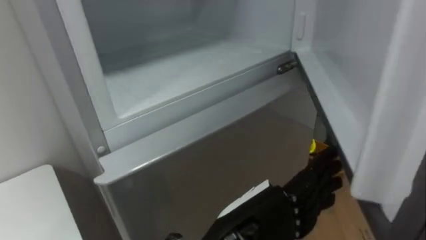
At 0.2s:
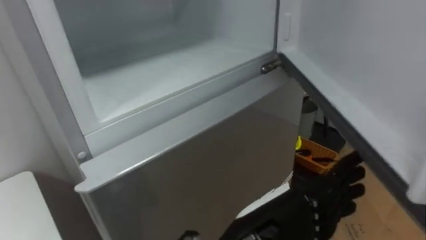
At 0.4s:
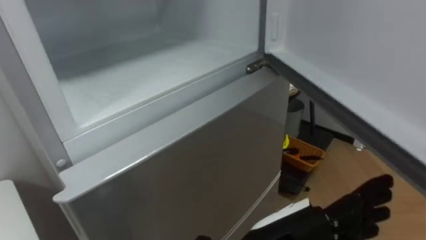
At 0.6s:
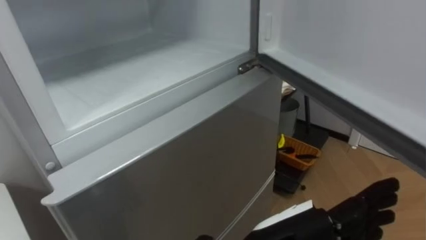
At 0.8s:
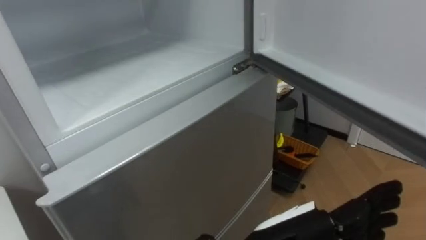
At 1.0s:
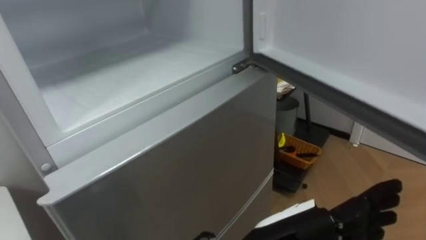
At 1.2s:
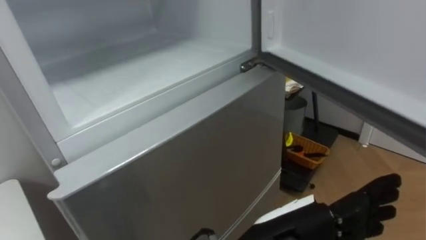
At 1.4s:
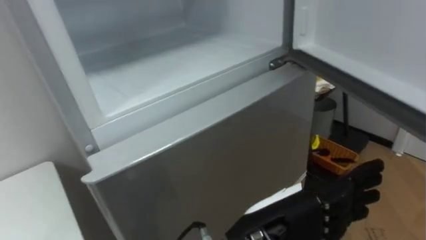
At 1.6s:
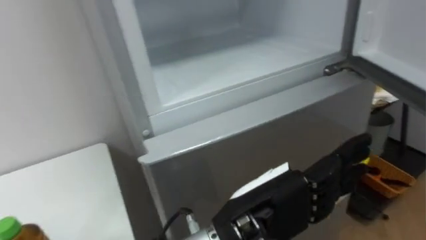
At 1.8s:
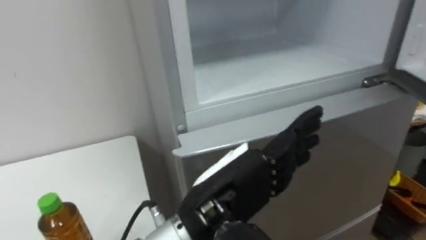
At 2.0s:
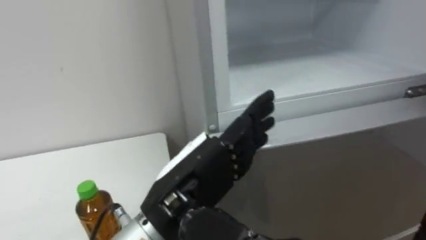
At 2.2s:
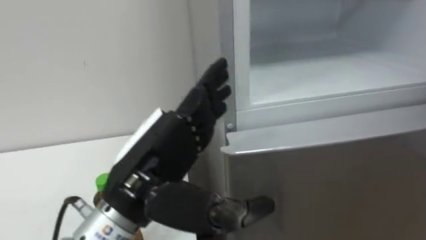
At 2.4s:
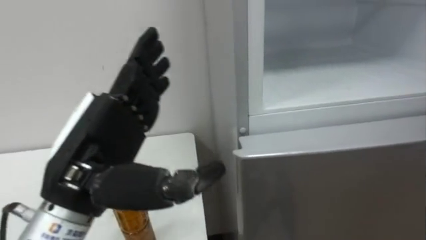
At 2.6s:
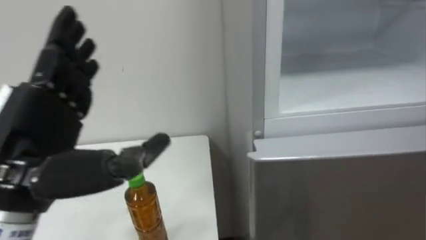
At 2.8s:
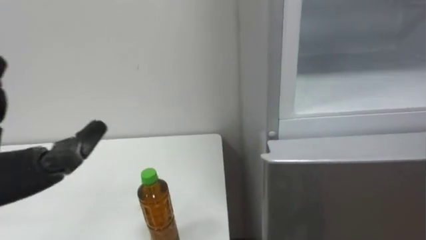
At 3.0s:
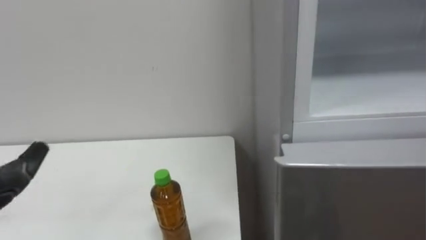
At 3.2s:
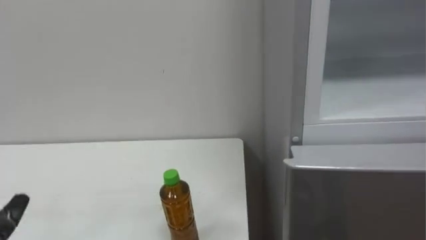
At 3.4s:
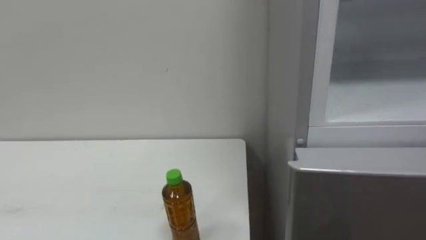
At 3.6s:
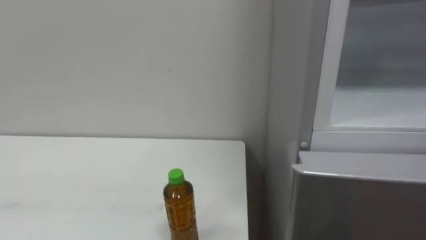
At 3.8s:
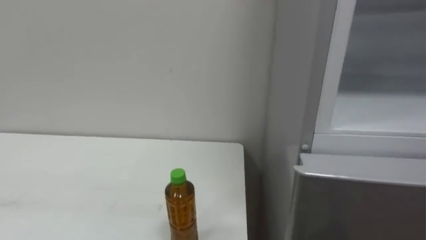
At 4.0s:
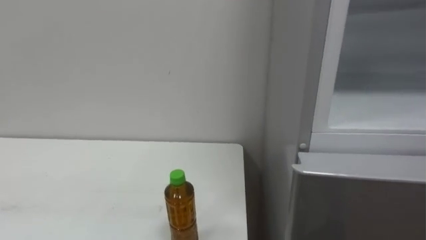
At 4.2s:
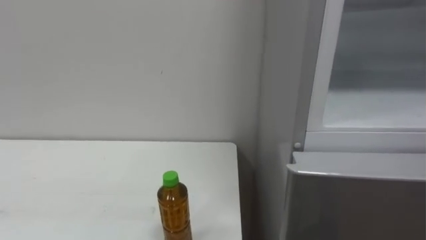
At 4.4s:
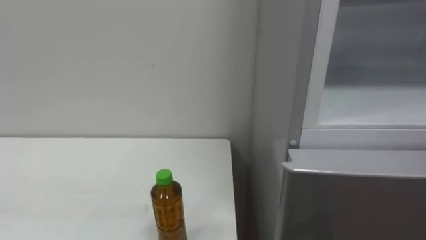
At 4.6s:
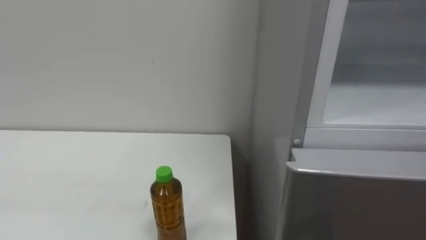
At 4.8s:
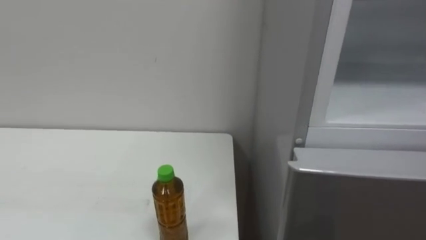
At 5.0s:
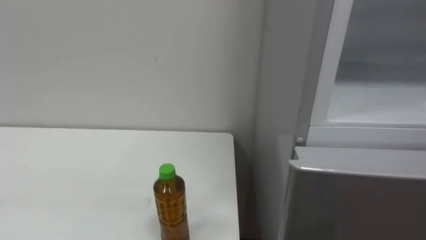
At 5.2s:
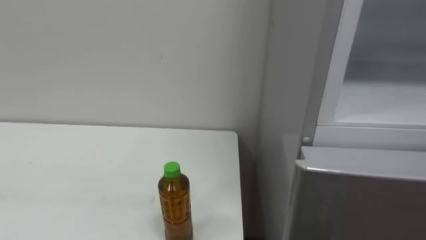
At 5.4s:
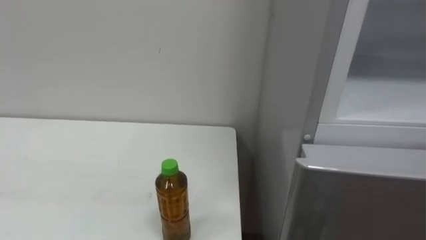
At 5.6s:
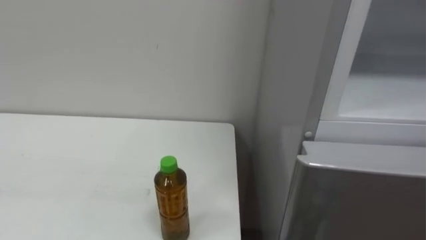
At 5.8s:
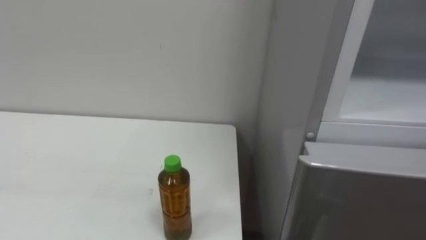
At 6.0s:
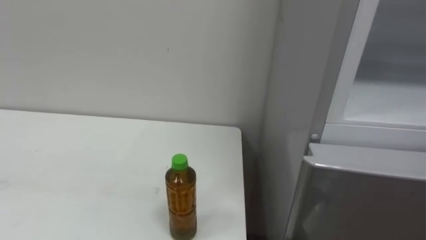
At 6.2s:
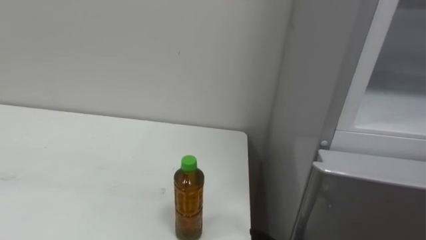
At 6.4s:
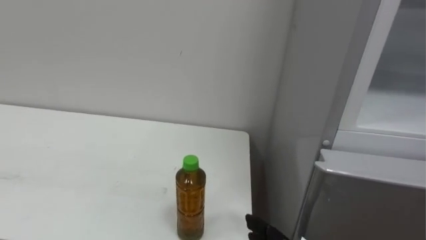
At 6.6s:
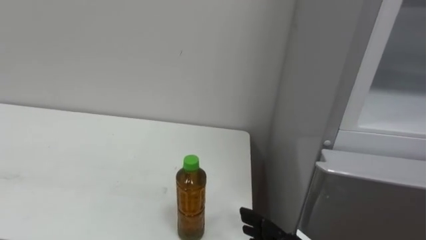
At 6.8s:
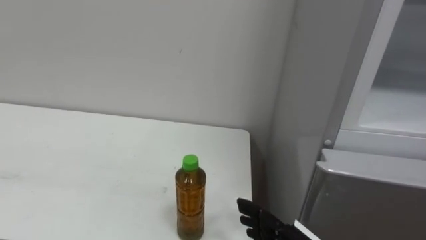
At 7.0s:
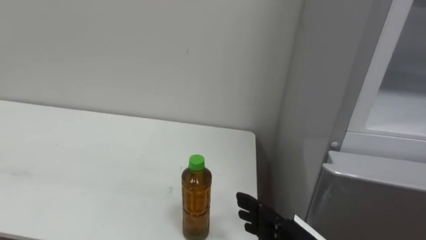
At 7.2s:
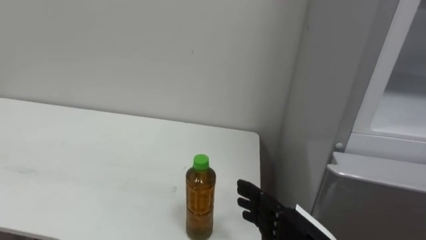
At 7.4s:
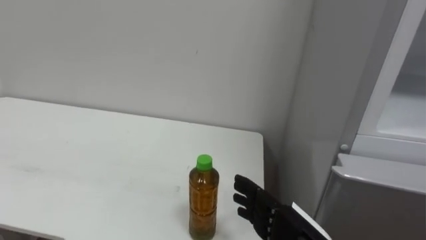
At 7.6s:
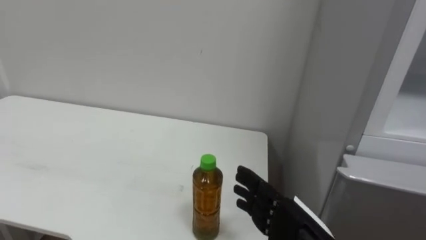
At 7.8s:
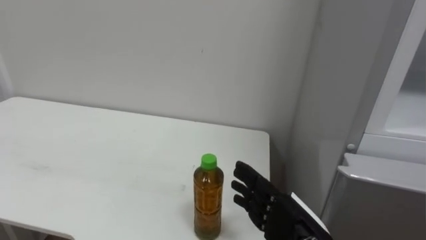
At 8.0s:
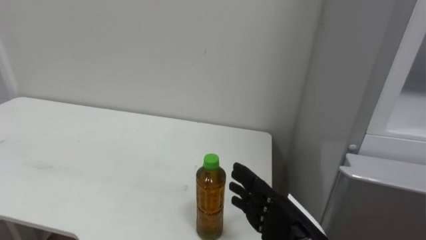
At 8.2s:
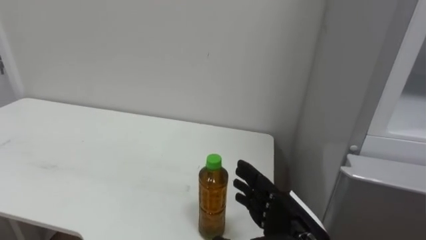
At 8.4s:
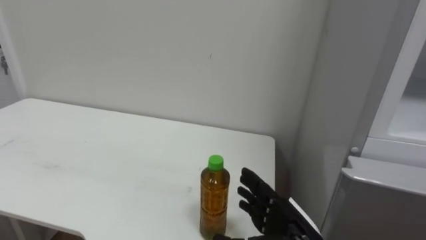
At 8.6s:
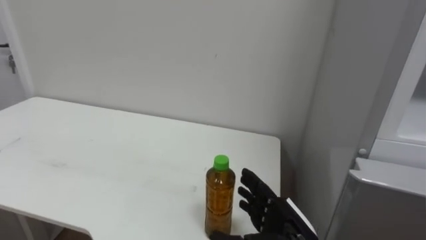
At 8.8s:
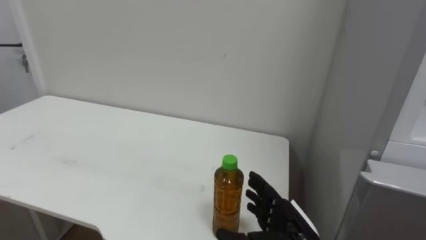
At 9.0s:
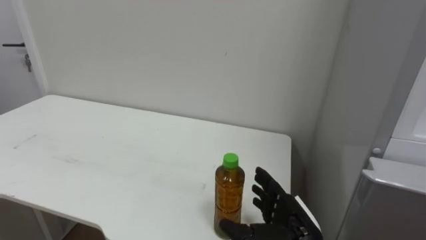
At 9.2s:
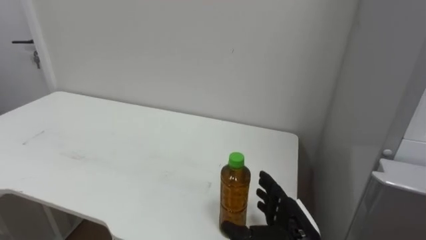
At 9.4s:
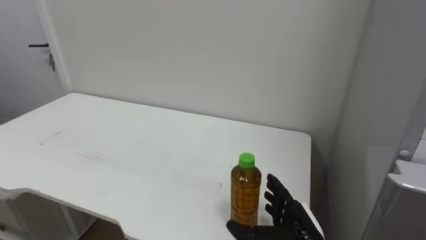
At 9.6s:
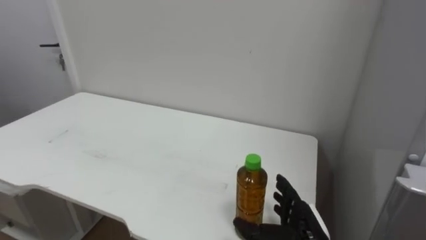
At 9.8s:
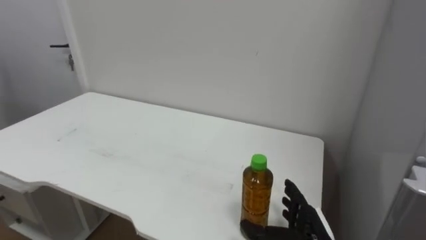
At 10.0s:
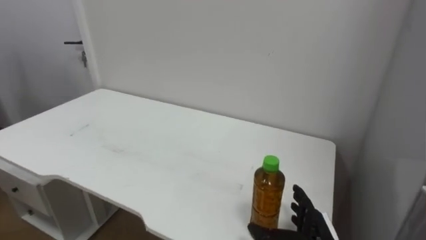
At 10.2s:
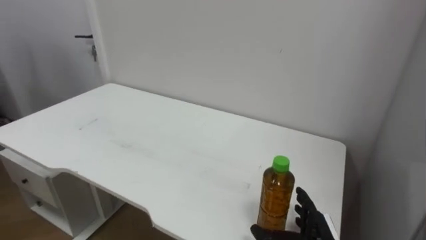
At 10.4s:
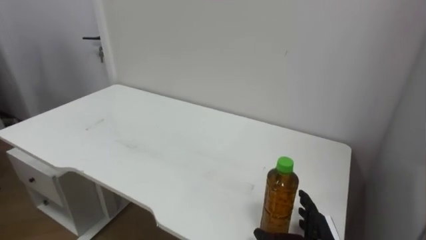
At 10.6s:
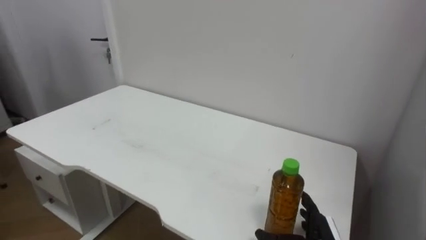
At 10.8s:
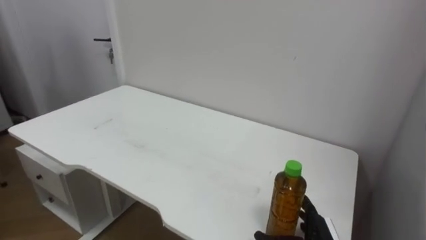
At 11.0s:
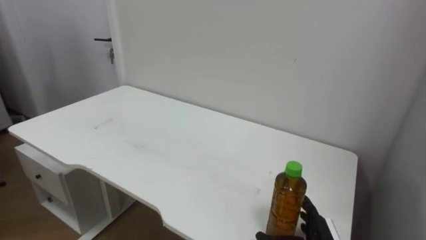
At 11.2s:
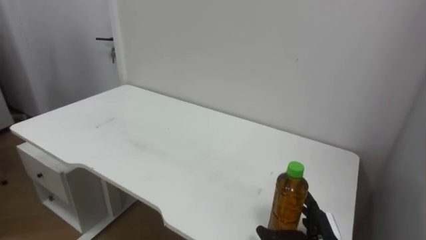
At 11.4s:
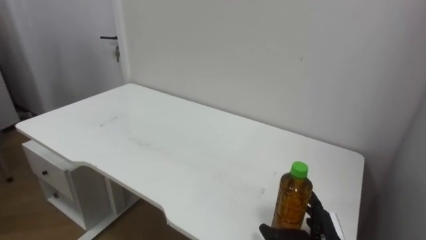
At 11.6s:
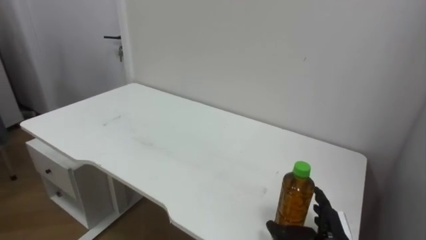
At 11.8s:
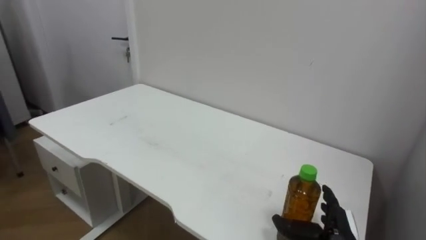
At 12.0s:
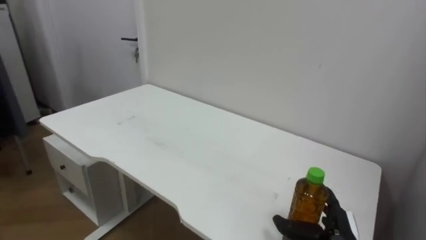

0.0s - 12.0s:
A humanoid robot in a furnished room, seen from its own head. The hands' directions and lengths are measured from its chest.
Task of the whole recording: Open the upper refrigerator door, put the drink from the table into the refrigerator, and then close the refrigerator door.
7.6s - 9.0s: The right hand ends up some 5 cm from where it was.
9.0s - 10.4s: The right hand heads downward and to the right, covering approximately 10 cm.

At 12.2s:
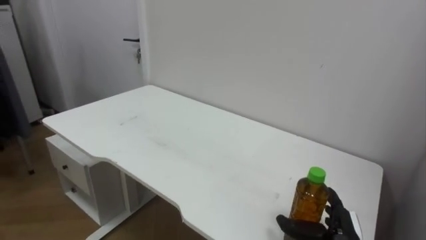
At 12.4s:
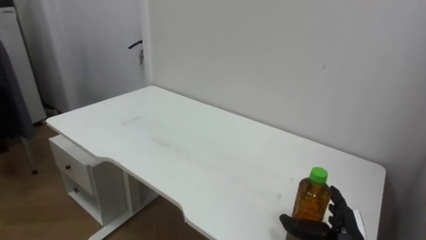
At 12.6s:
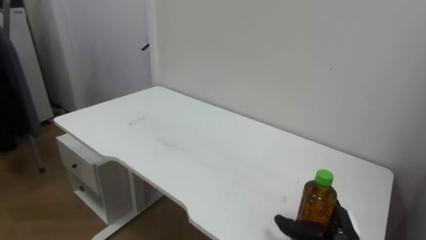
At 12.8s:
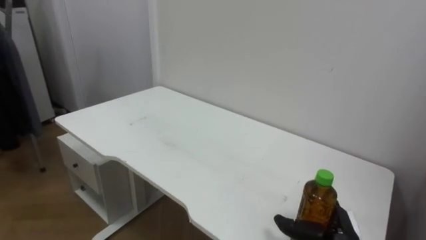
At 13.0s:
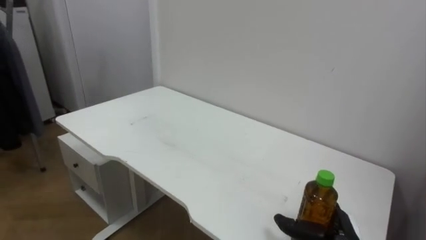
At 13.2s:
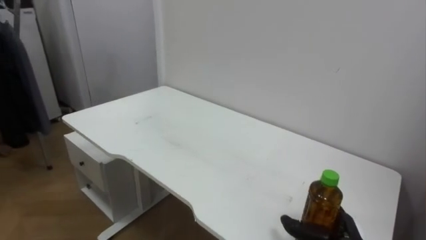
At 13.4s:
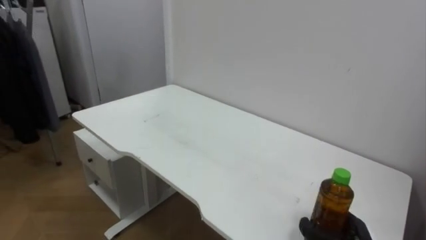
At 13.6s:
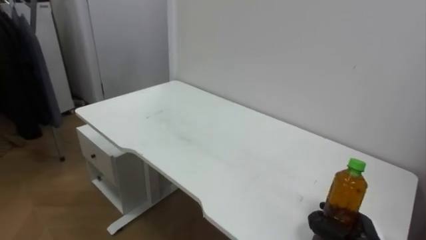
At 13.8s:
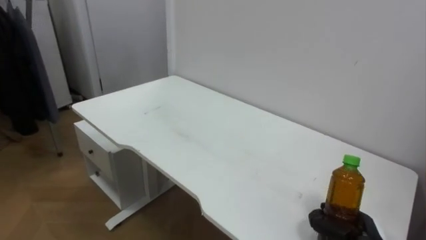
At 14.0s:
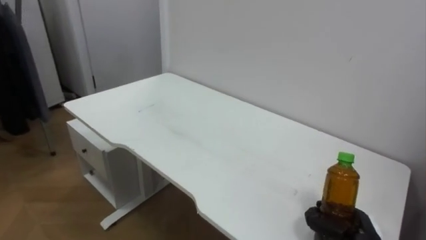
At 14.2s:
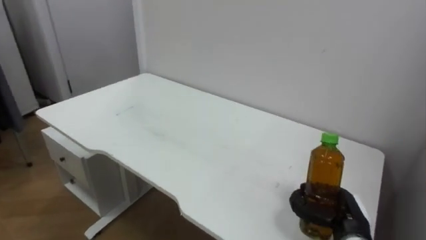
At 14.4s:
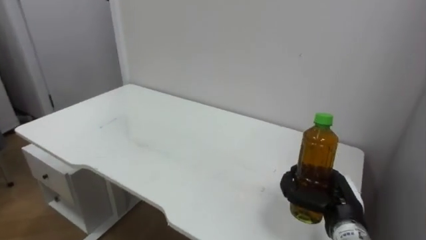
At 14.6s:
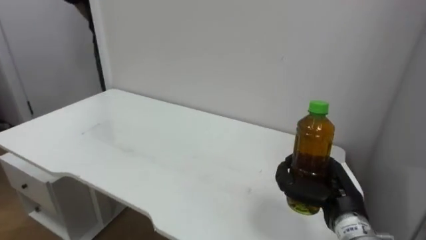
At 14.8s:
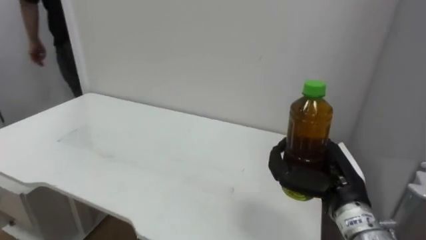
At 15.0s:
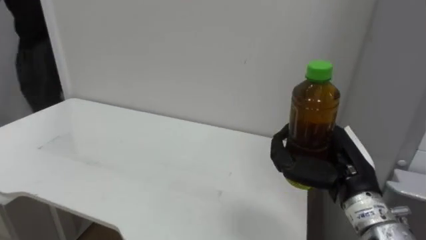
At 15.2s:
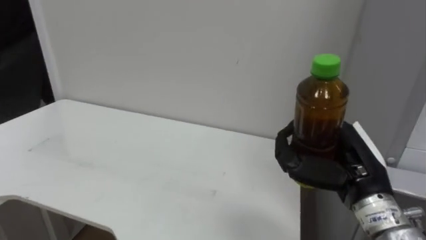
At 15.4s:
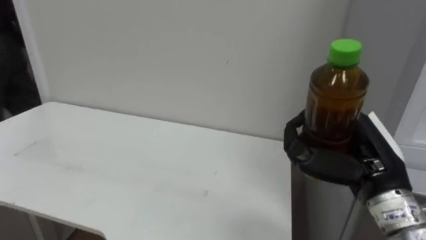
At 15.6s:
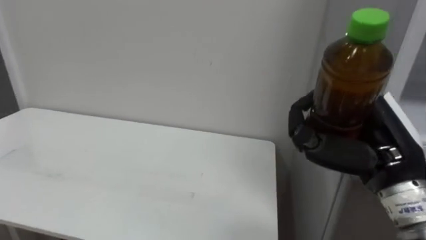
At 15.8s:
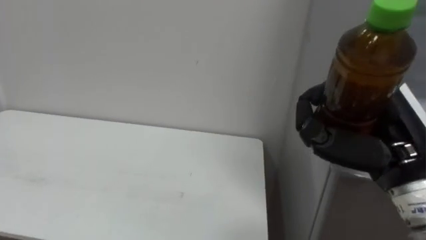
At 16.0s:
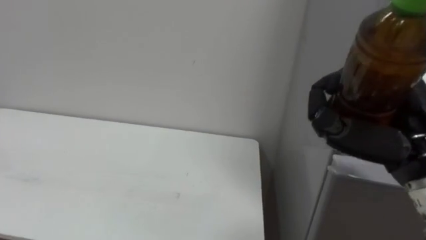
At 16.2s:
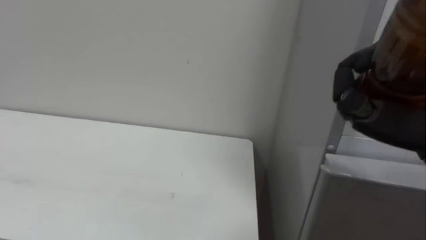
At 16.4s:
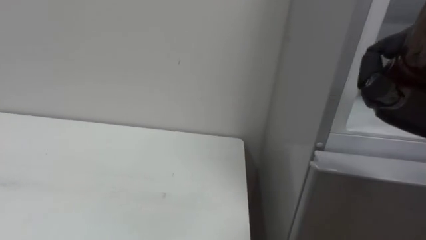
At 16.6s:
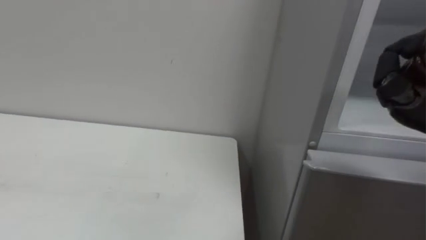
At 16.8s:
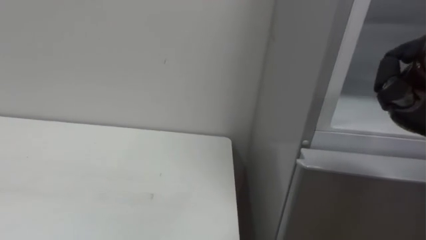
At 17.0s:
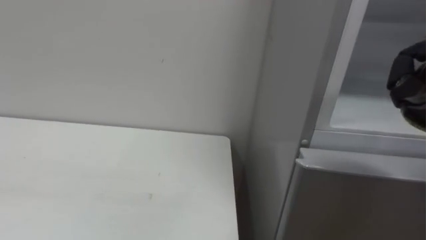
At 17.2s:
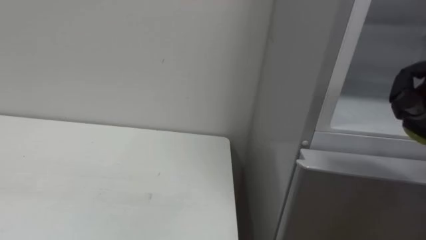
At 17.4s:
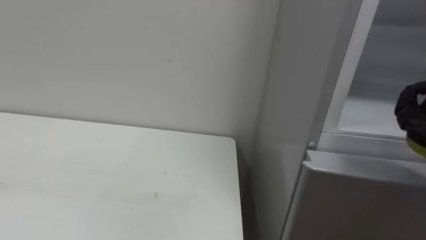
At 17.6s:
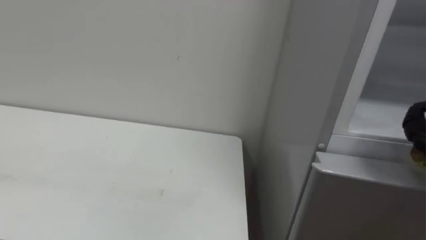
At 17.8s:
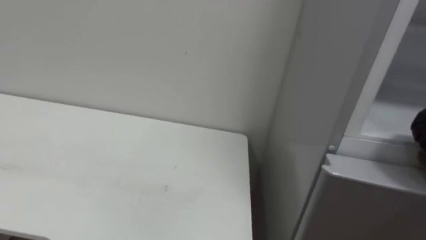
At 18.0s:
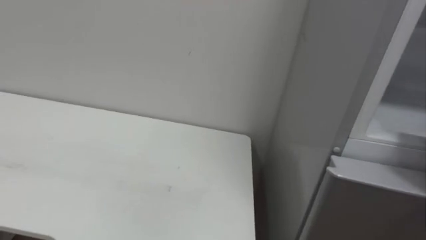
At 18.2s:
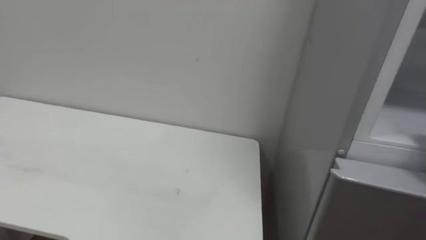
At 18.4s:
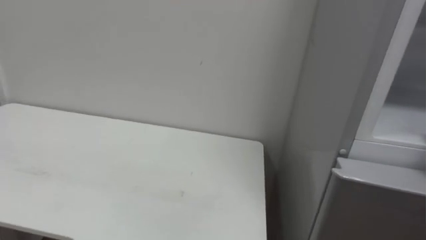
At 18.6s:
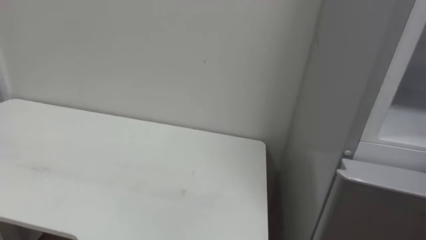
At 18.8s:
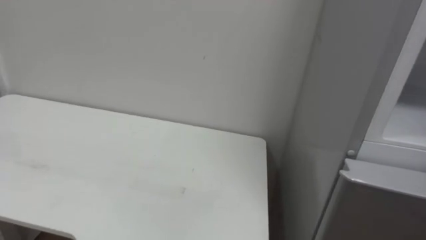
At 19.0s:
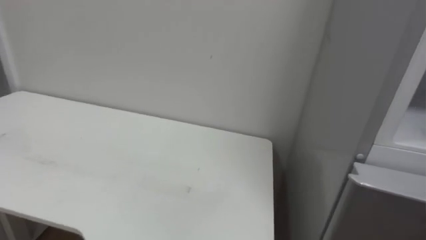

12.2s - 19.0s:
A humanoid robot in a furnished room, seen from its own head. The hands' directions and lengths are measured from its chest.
Task of the whole recording: Open the upper refrigerator door, put the drink from the table into the refrigerator, and then close the refrigerator door.
12.2s - 13.6s: The right hand closes up.
13.6s - 15.0s: The right hand goes roughly 20 cm upward.
